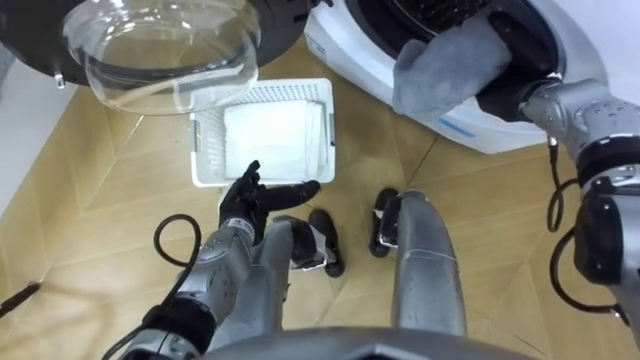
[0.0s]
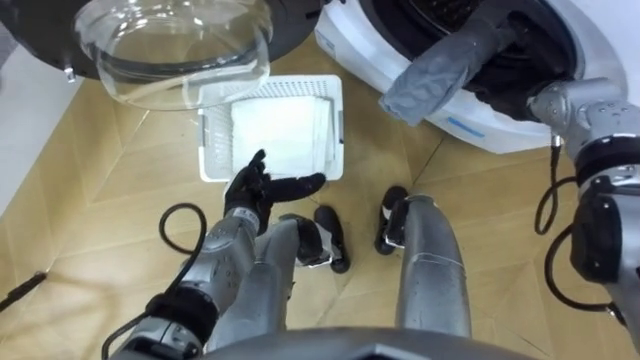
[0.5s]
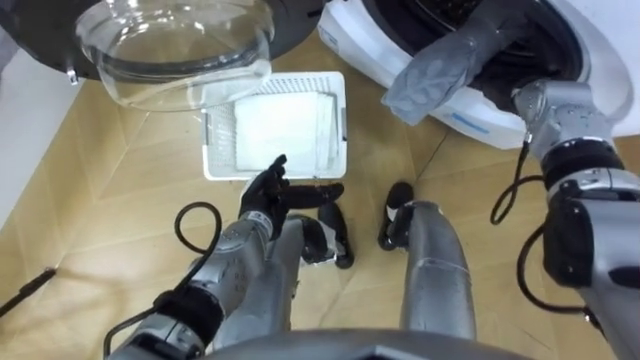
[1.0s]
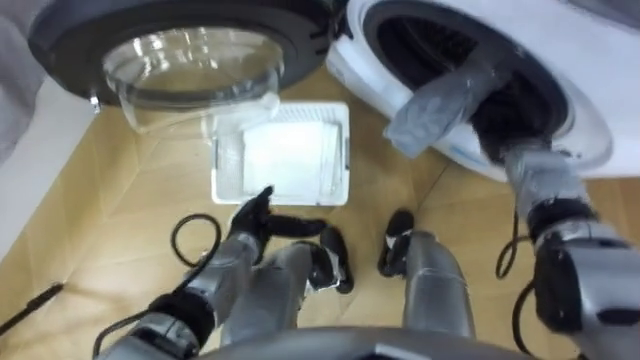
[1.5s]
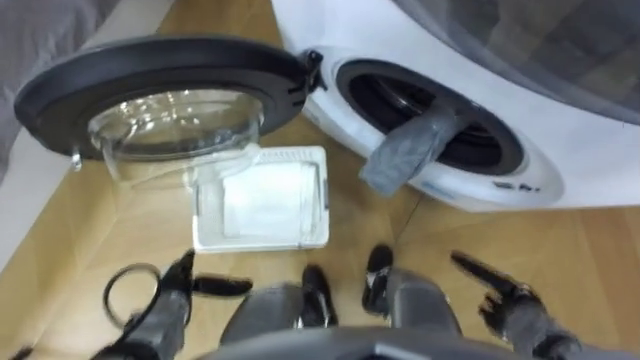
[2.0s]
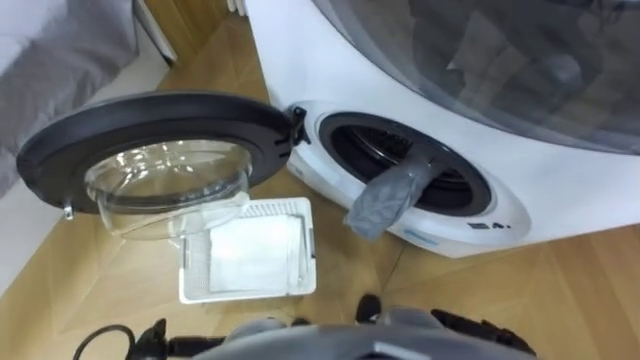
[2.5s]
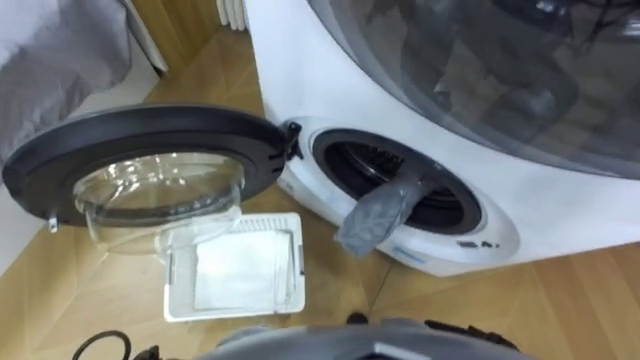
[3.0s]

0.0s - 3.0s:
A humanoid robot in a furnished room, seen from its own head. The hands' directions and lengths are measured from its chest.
Task of the whole recording: Take the towel from the basket and put it into the washing machine.
0.0s - 1.5s: The right hand goes about 5 cm downward.

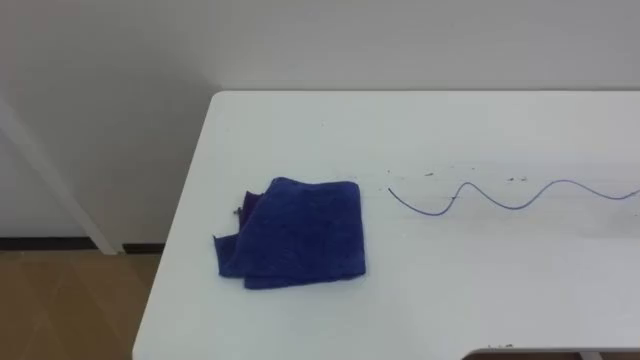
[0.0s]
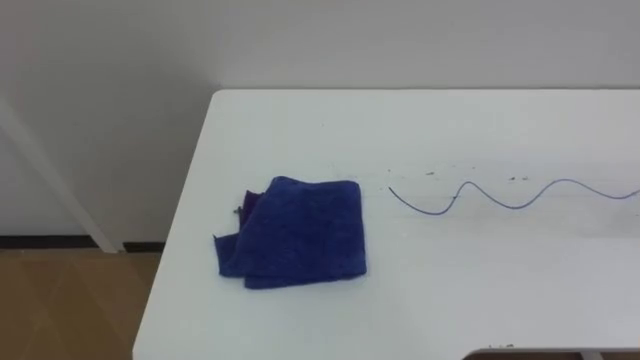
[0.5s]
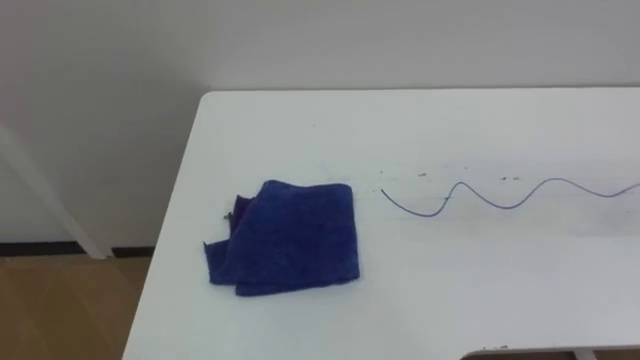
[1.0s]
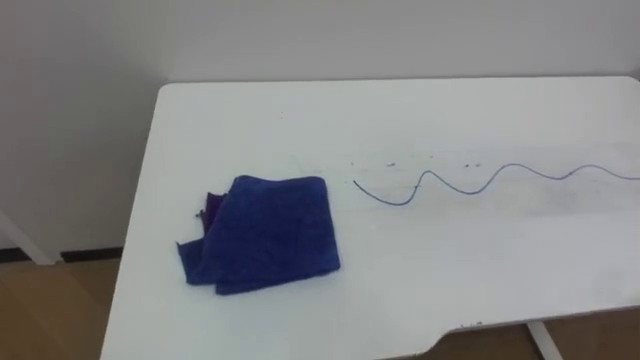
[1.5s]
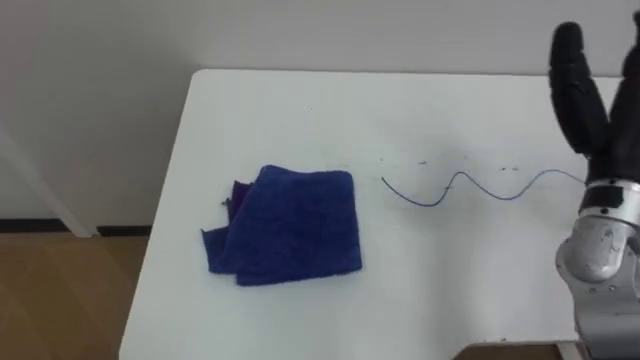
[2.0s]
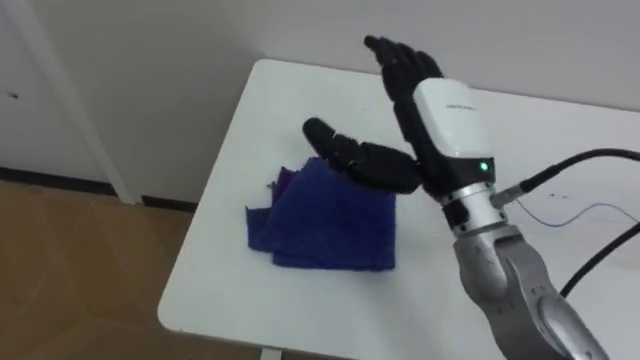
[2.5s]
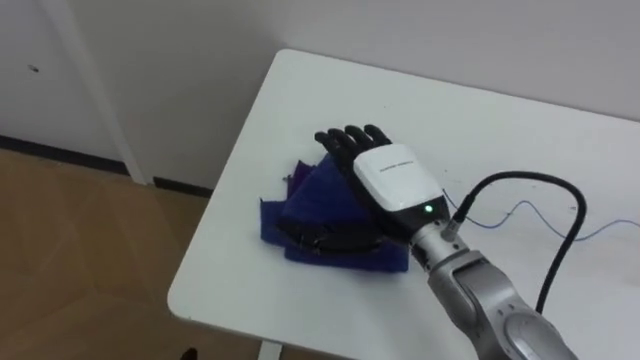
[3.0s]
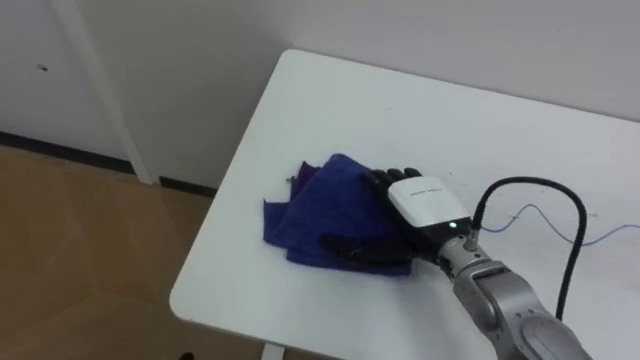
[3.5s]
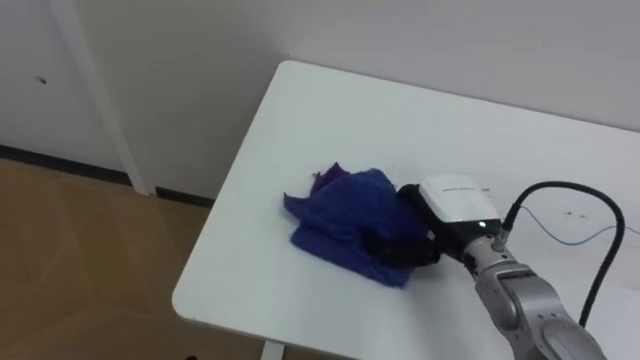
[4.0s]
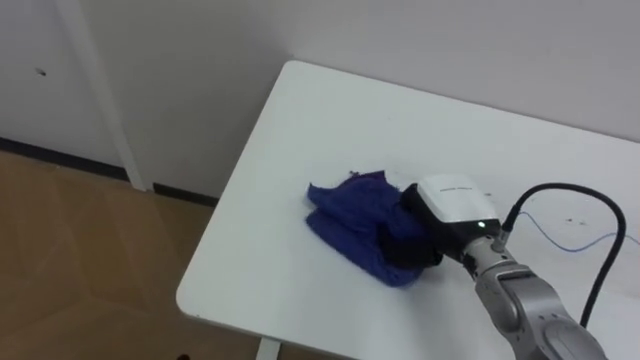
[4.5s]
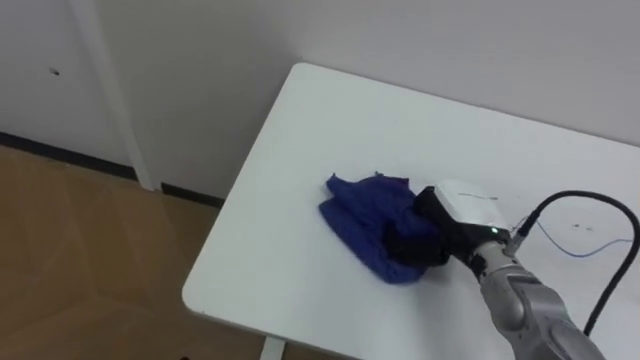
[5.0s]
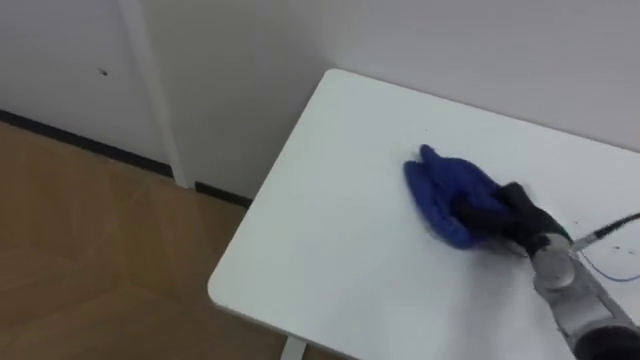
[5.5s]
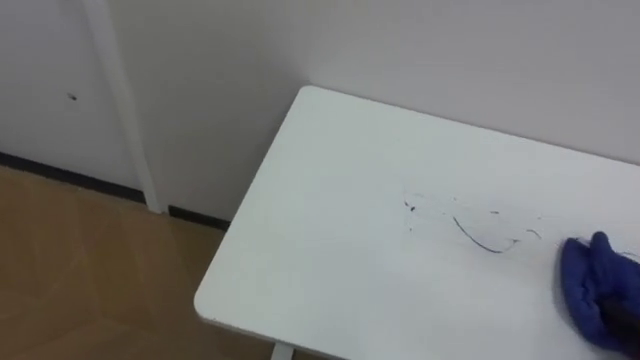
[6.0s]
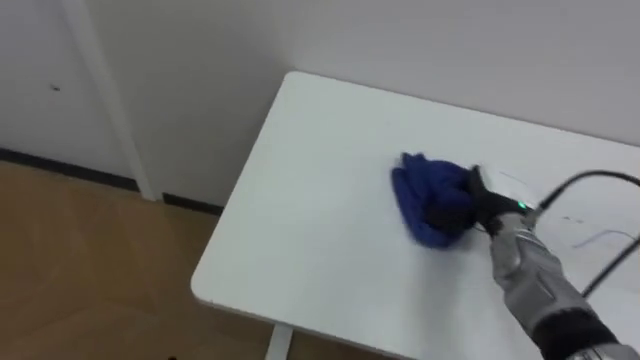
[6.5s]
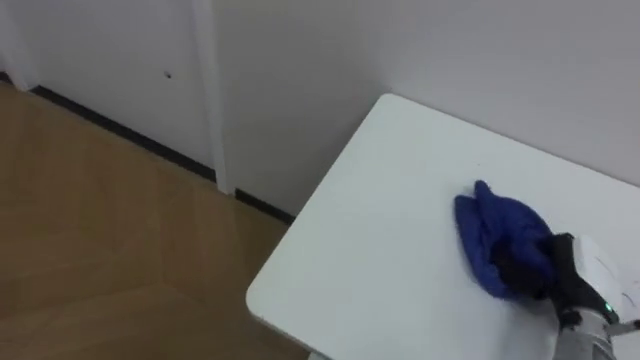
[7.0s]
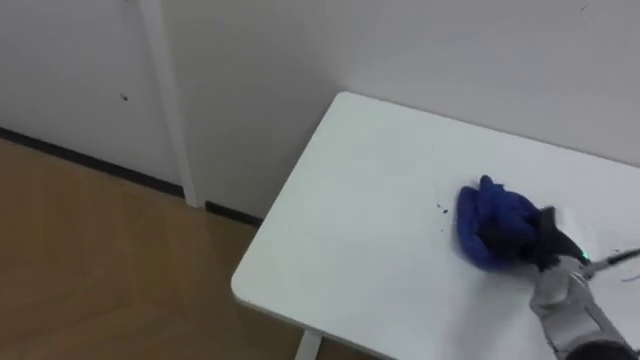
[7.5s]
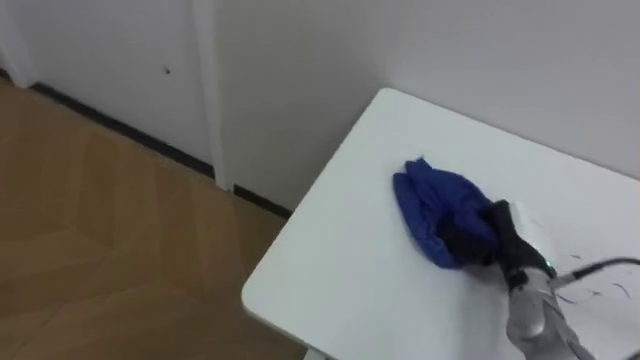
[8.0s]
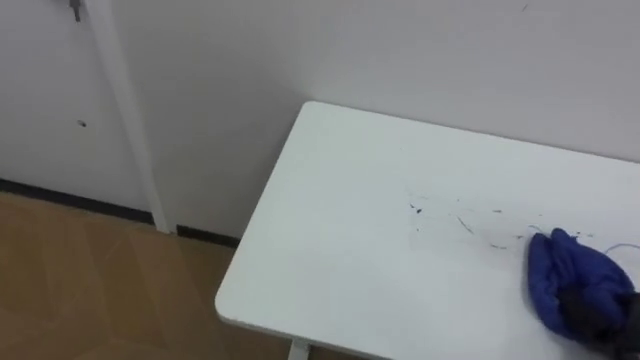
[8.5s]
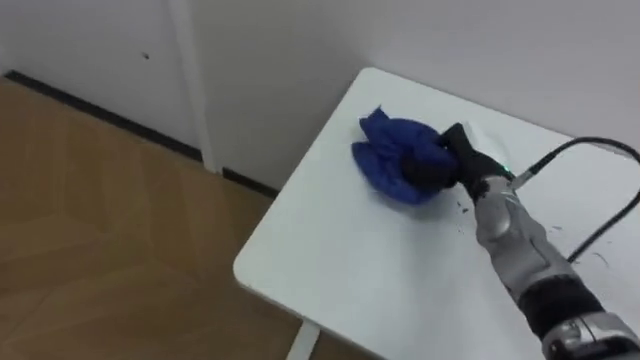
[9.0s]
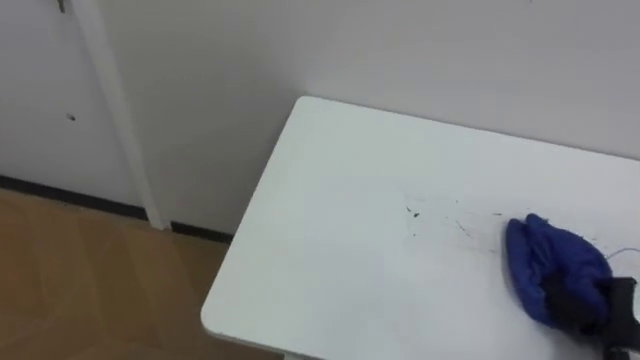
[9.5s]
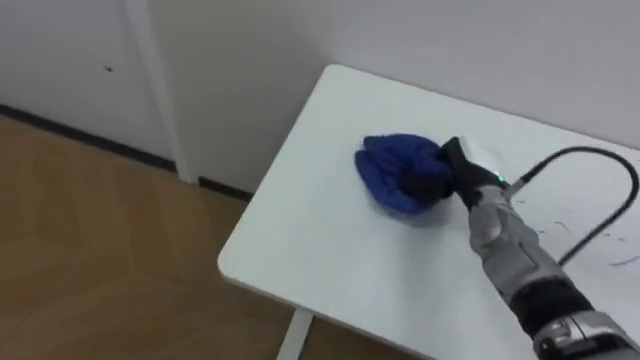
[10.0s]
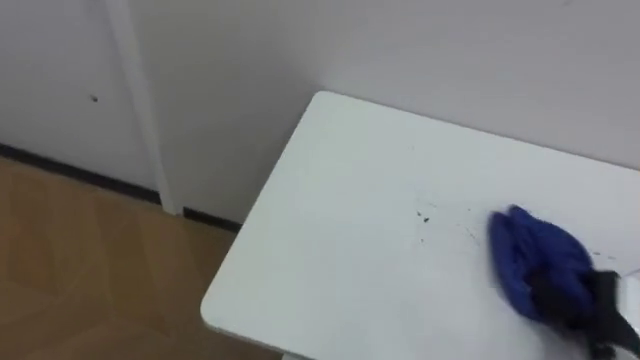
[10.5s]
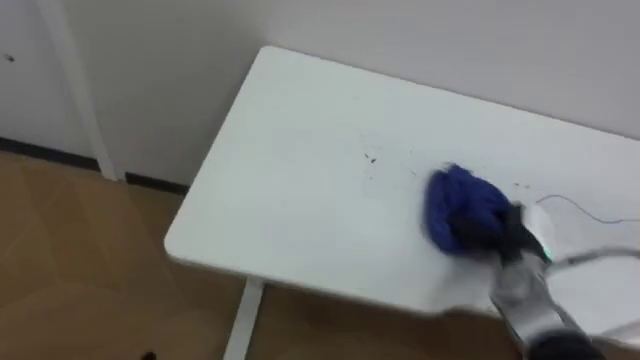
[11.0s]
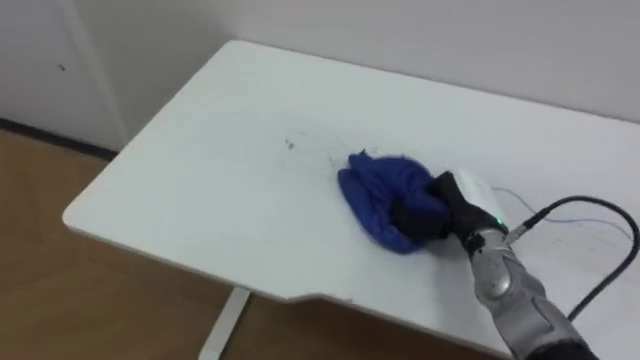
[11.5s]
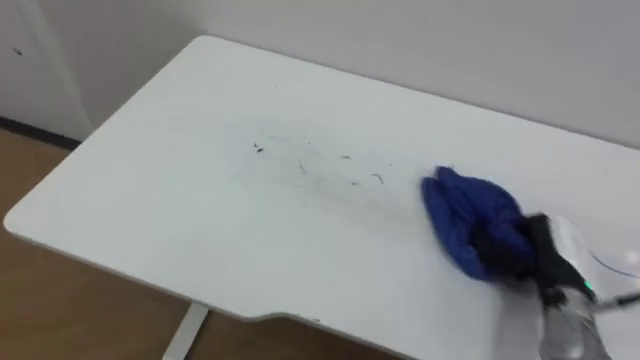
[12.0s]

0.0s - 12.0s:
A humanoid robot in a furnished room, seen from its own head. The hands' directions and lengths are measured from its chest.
Task of the whole recording: Wipe the blue pen marks off the table with the rag.
2.0s - 4.0s: The right hand is displaced downward and to the left by approximately 20 cm, and closes up.
8.0s - 10.0s: The right hand goes forward and backward, roughly 20 cm each way, reversing 3 times.

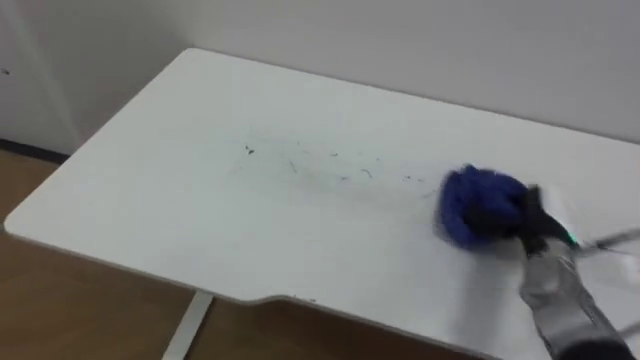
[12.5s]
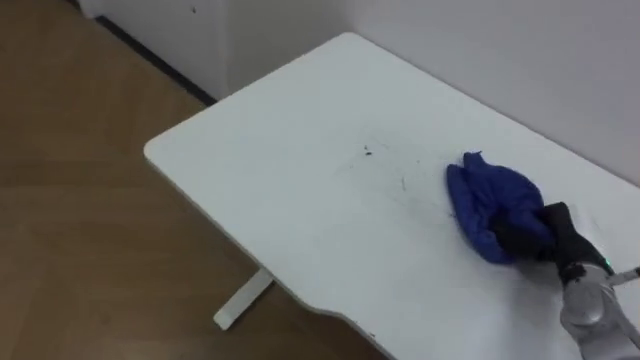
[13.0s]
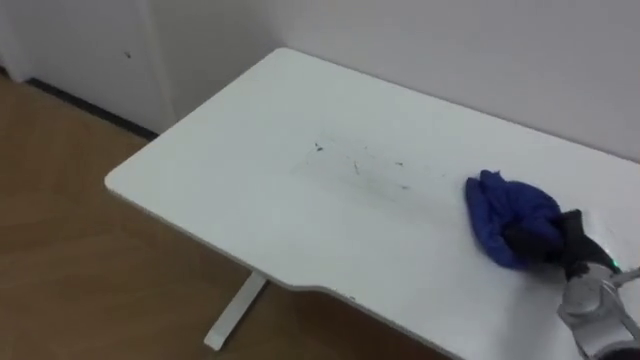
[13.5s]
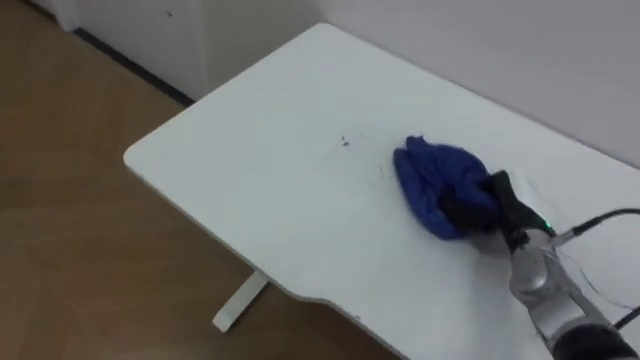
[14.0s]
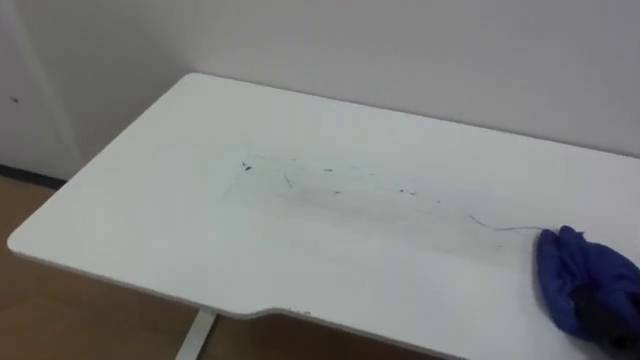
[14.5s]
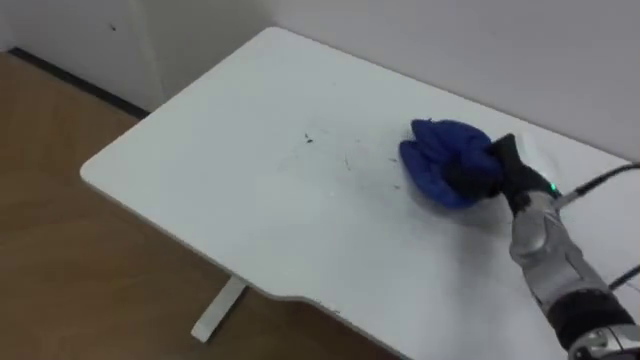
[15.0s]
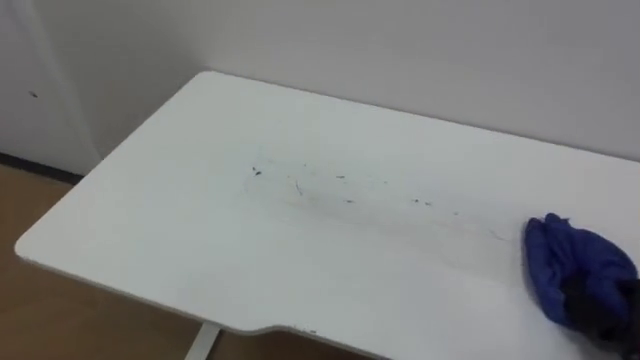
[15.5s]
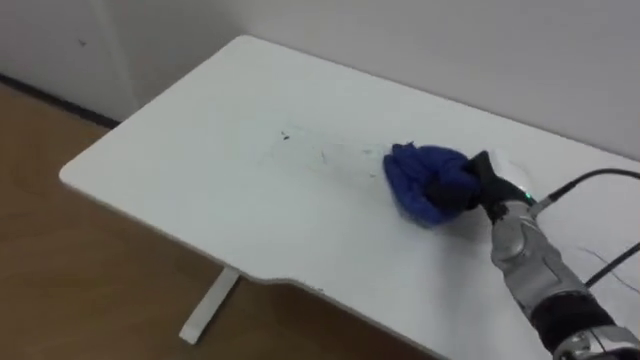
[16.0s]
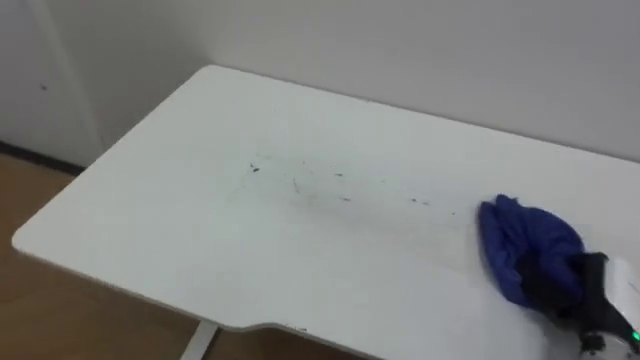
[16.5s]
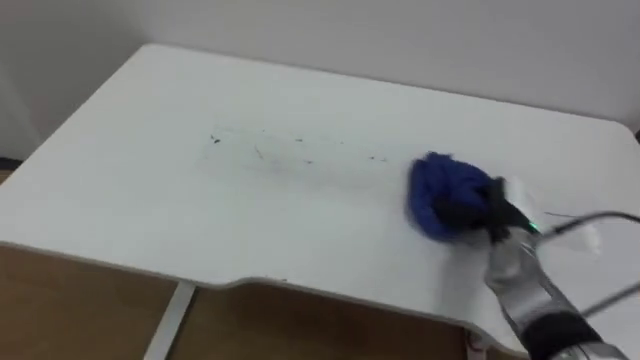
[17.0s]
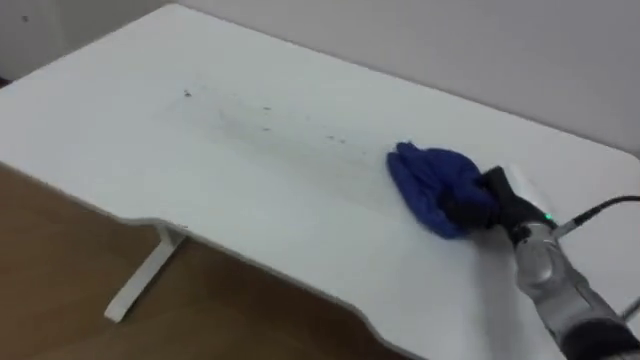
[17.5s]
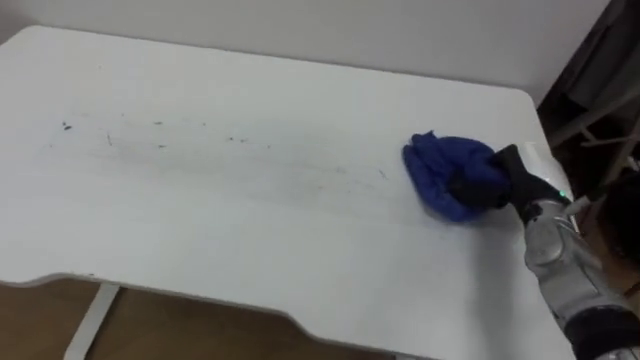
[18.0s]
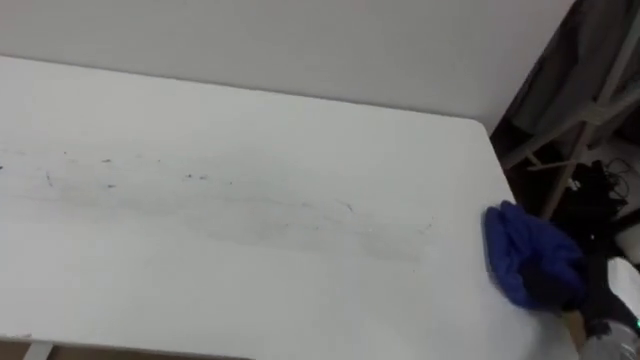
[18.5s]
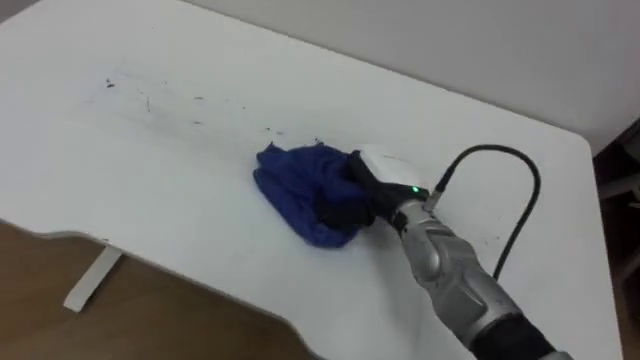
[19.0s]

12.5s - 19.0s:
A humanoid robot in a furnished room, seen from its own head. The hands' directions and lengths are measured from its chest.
Task of the whole recording: Wipe the blue pen marks off the table with the rag.
17.0s - 19.0s: The right hand shifts roughly 20 cm to the left.
